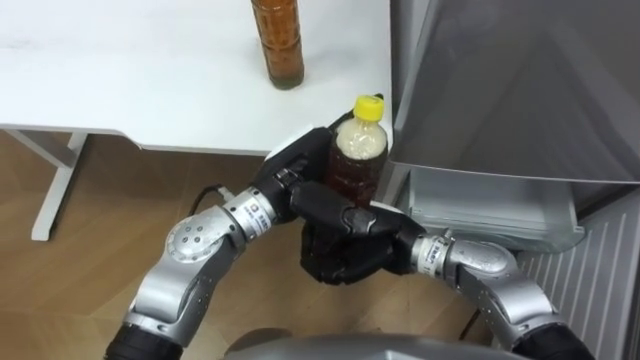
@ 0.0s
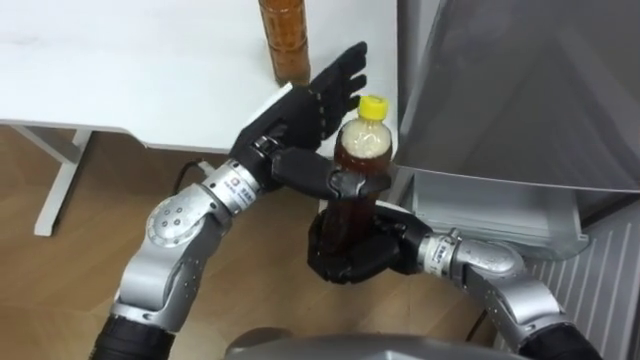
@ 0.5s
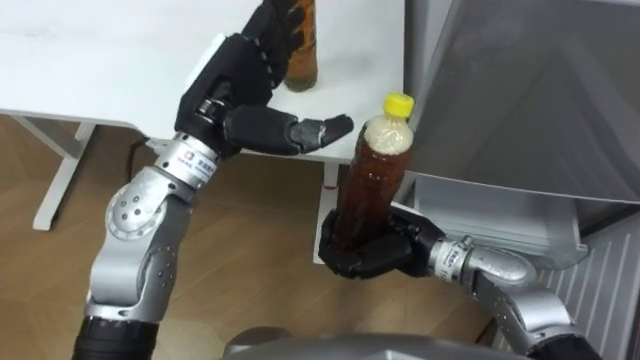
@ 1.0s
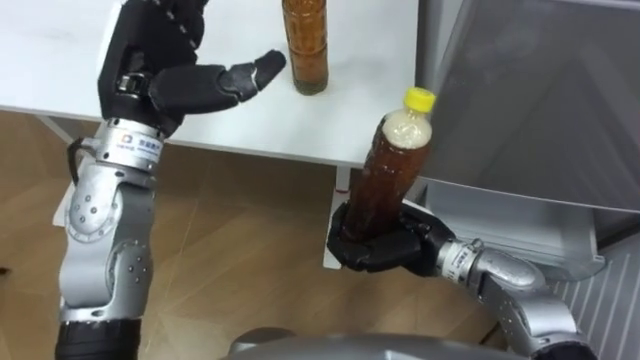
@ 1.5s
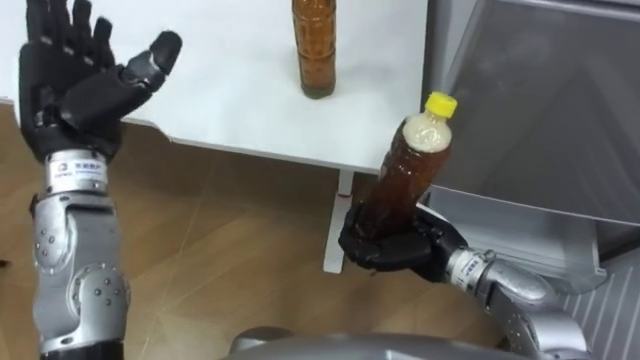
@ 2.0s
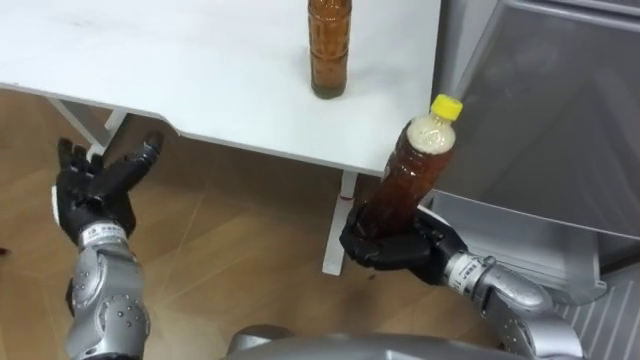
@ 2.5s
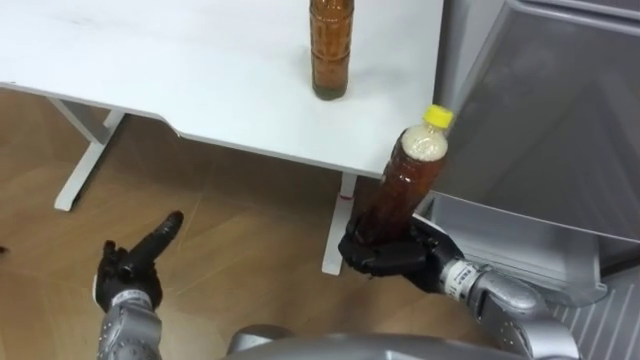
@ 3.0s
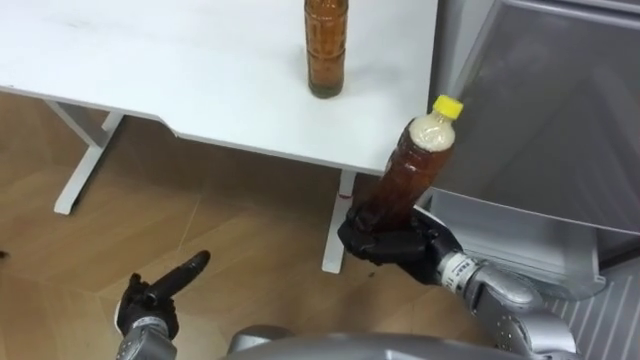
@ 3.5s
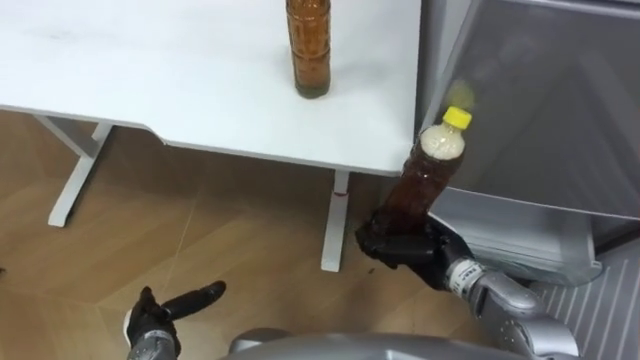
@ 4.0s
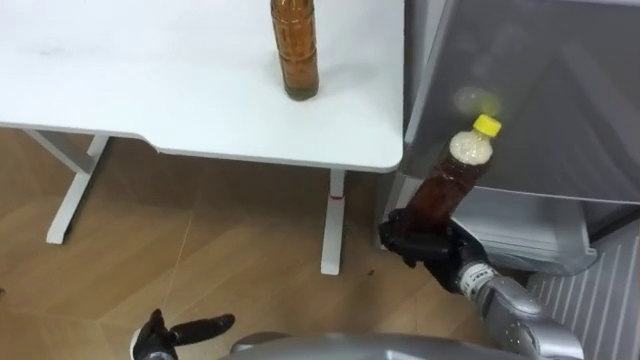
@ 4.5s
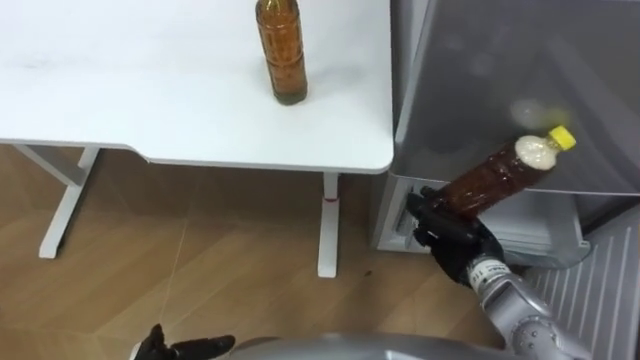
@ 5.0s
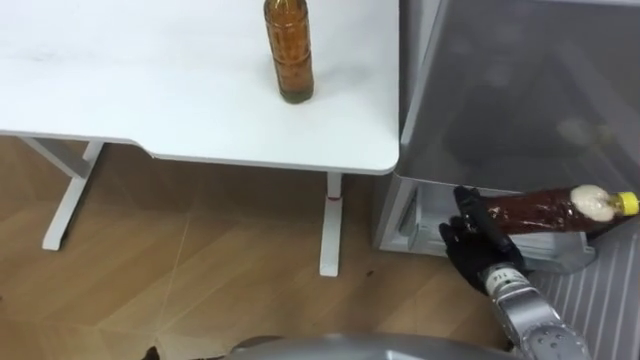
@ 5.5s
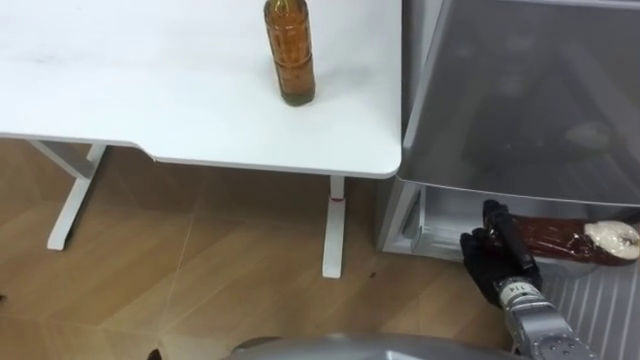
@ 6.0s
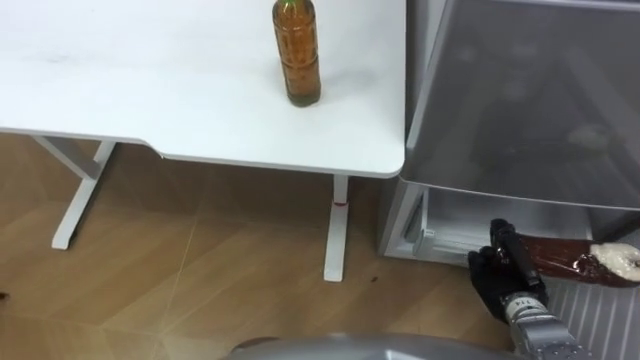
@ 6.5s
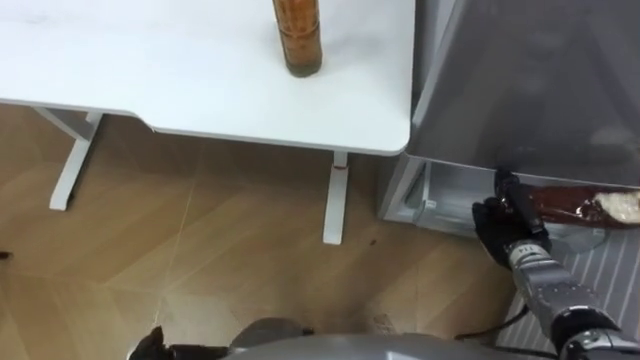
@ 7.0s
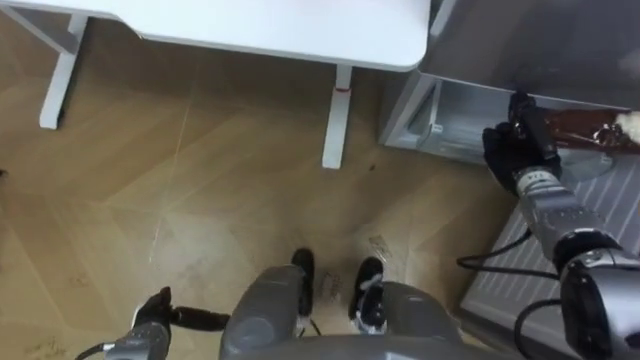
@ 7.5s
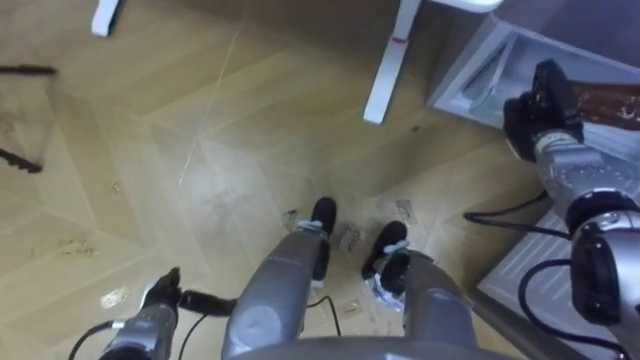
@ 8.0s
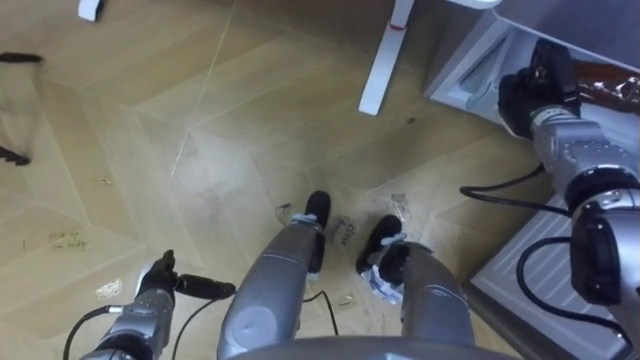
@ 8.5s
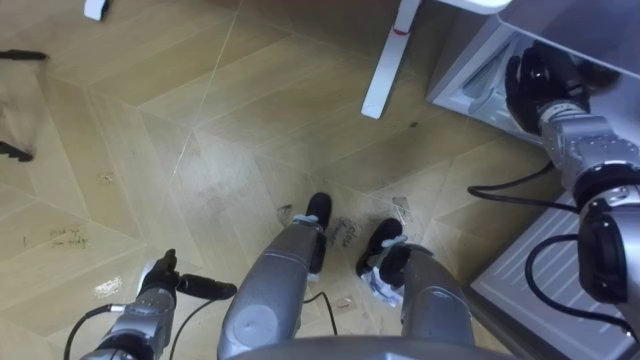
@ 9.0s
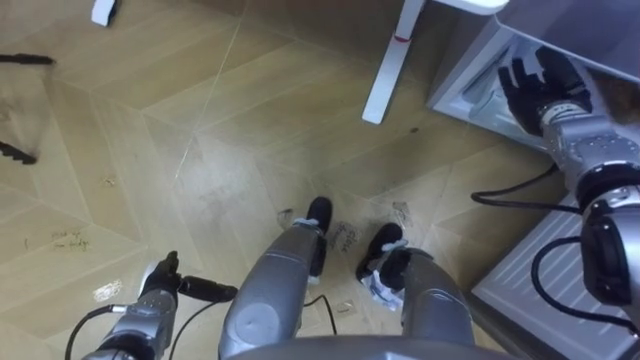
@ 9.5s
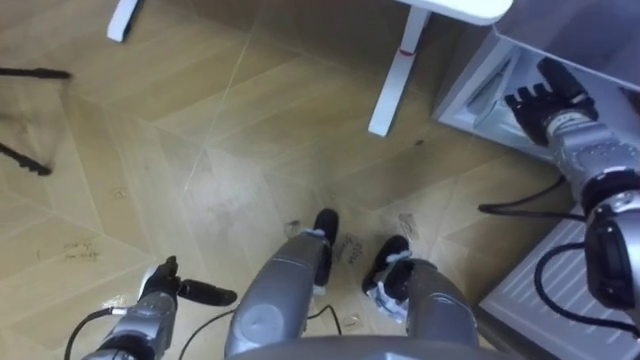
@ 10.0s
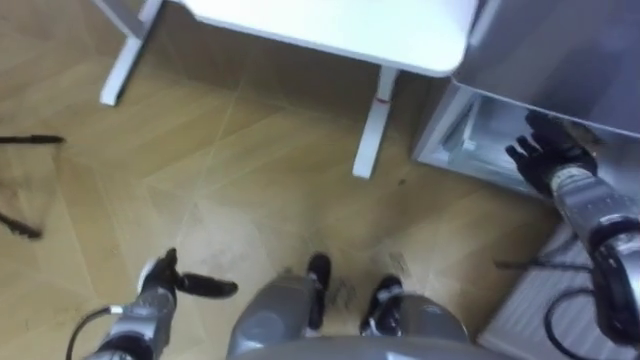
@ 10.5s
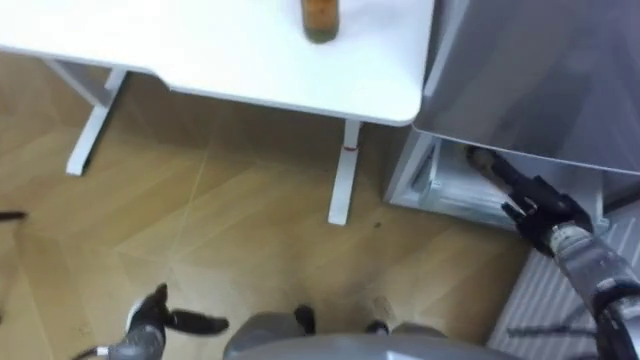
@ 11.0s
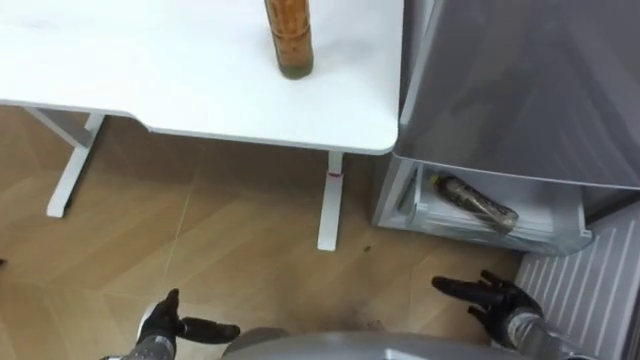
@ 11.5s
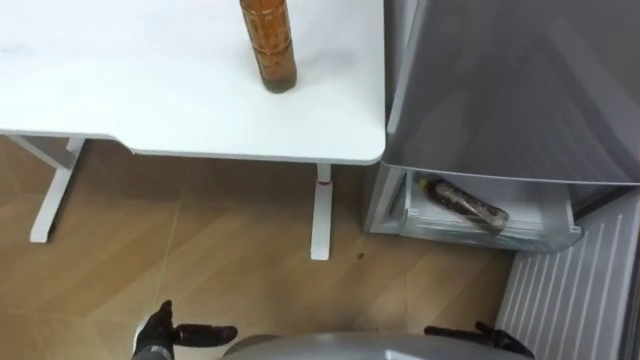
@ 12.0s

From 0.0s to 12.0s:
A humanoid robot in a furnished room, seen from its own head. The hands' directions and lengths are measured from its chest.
Task of the whole recording: Place the drink on the table on the bottom shelf of the refrigerator, then close the drawer and the refrigerator door.
From 0.0s to 2.0s: The left hand heads to the left, covering about 20 cm; the right hand moves to the right, some 5 cm.
From 2.0s to 4.0s: The left hand goes roughly 35 cm downward and backward.
From 4.0s to 6.0s: The right hand goes approximately 10 cm to the right.
From 6.0s to 8.0s: The right hand moves forward and upward, approximately 20 cm.
From 8.0s to 10.0s: The right hand opens its fingers.
From 10.0s to 12.0s: The left hand moves backward, roughly 5 cm; the right hand goes some 35 cm backward and downward.

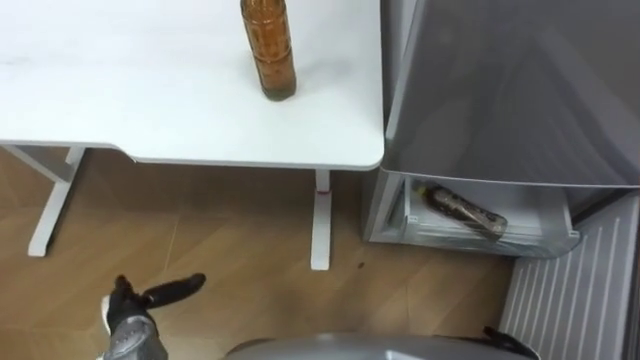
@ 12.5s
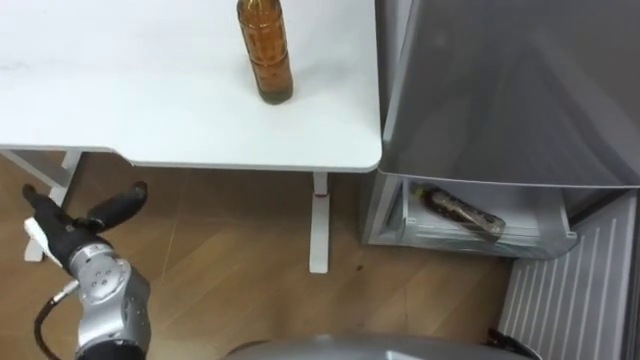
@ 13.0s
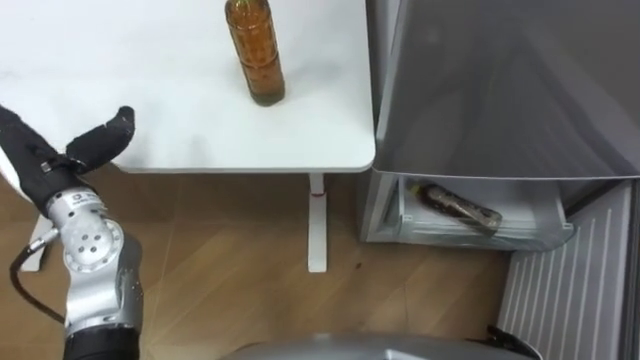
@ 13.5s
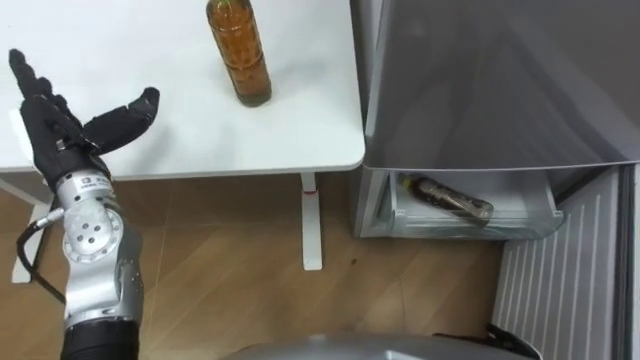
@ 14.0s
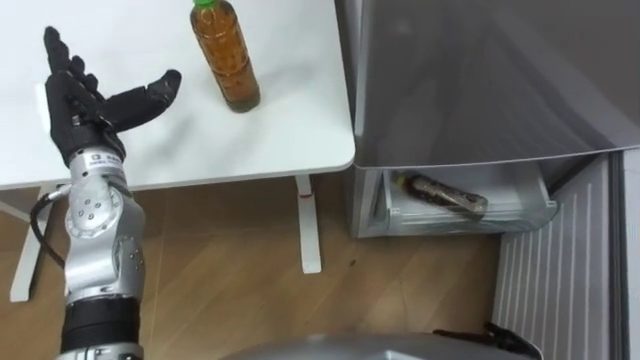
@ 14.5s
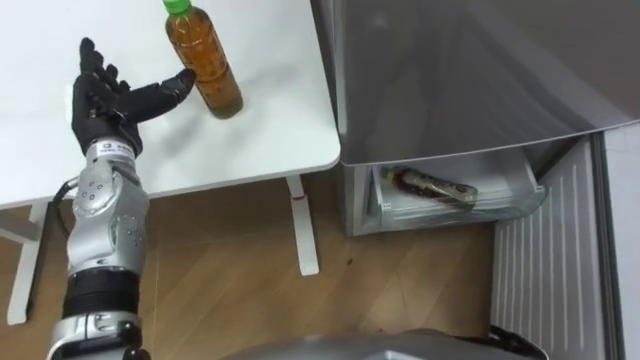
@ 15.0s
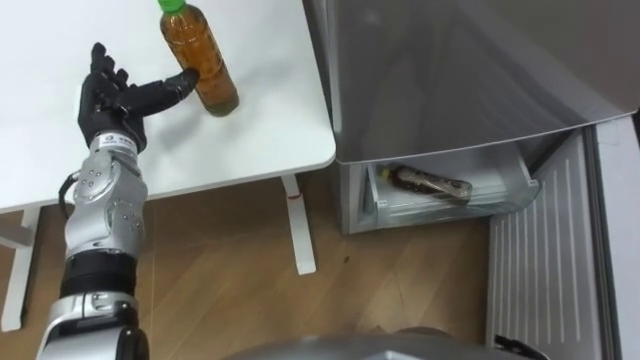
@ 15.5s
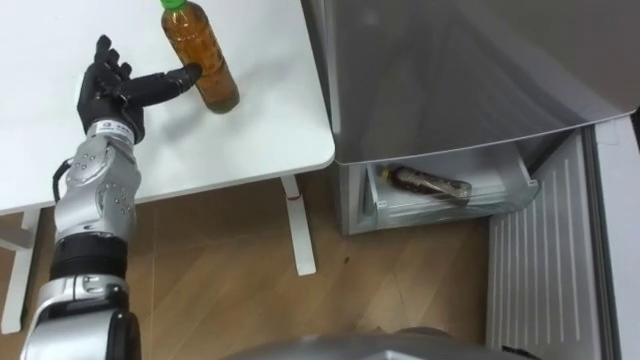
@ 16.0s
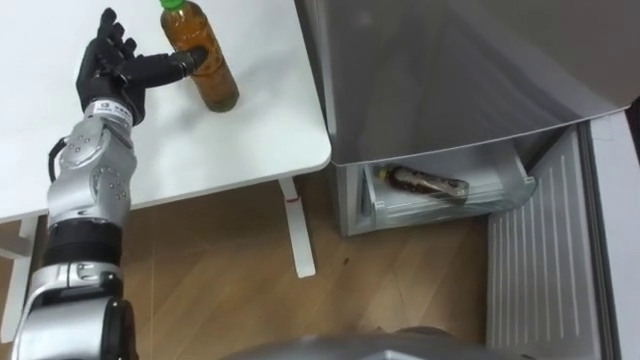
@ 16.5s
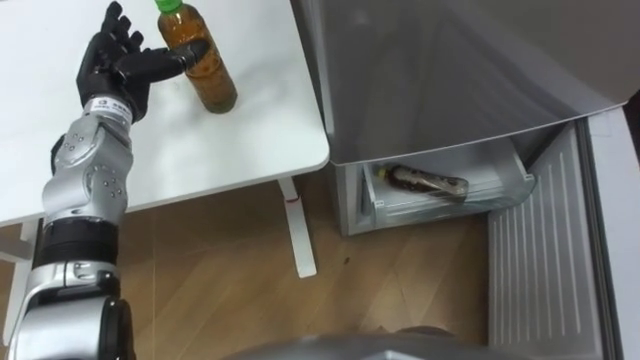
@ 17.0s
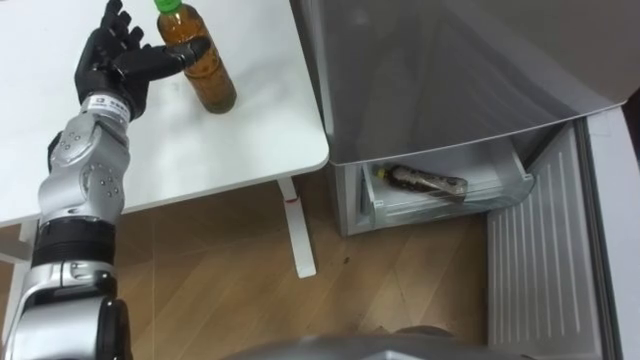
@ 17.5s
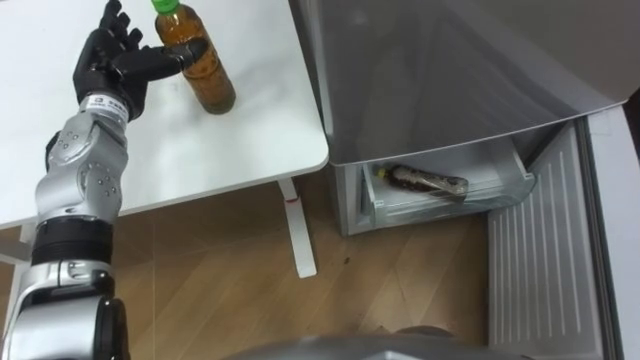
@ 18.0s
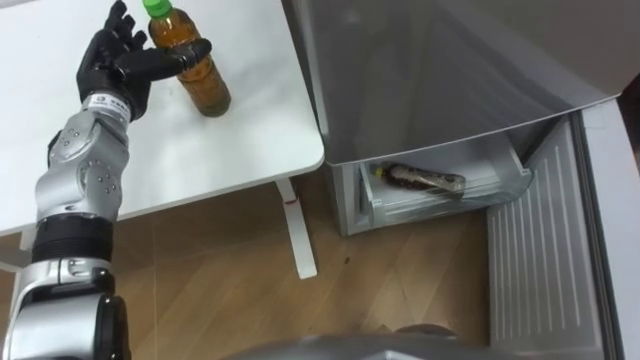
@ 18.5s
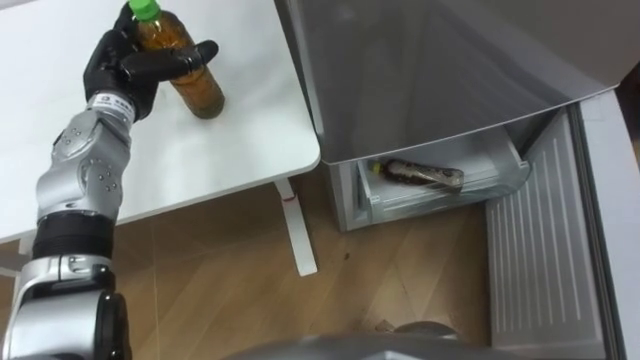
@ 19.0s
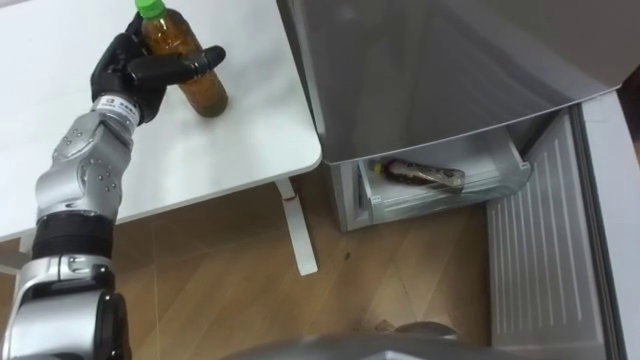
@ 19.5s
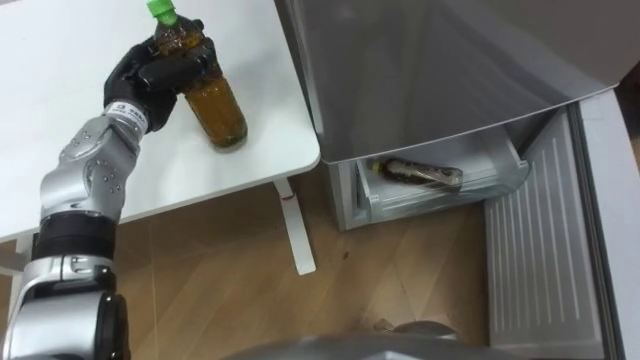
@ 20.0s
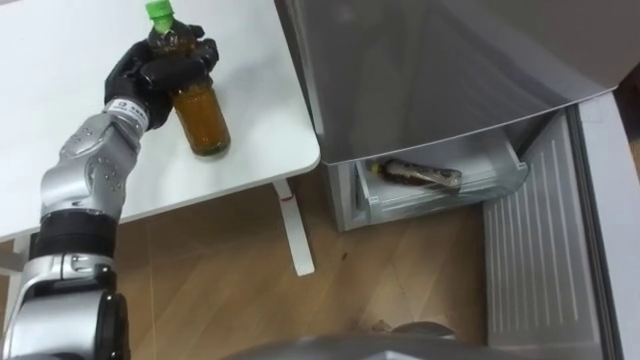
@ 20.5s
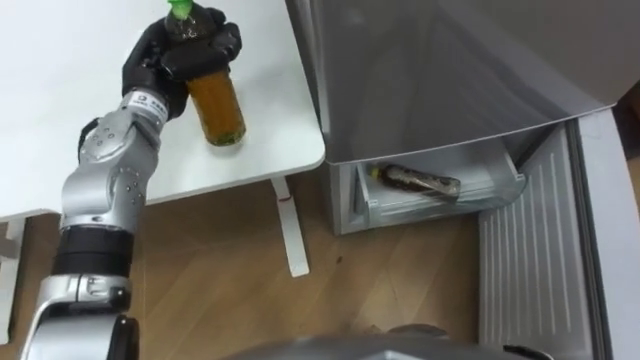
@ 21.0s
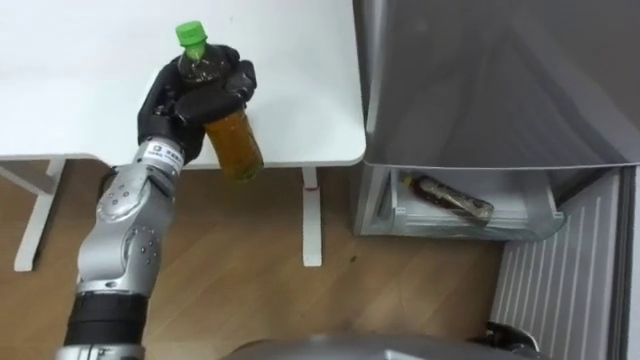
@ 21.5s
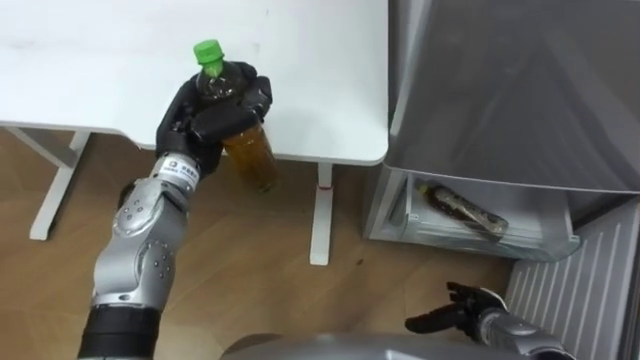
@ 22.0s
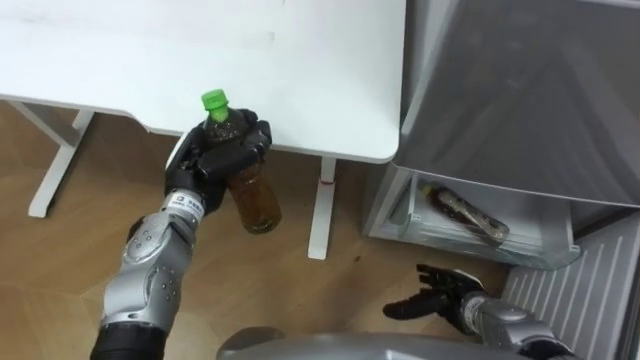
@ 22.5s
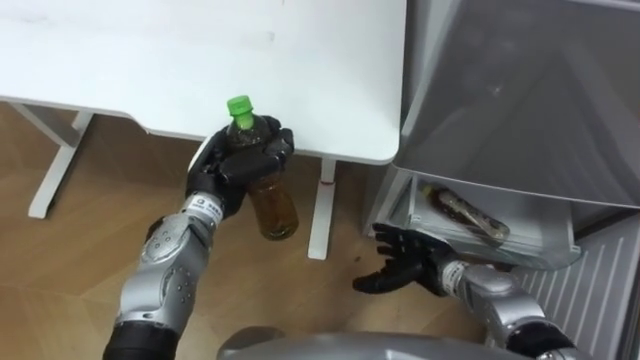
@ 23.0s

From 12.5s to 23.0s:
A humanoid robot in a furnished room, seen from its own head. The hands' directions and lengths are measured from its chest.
Task of the whole recording: Place the drink on the table on the bottom shelf of the refrigerator, then close the drawer and the refrigerator door.
From 12.5s to 14.5s: The left hand moves upward and forward, about 30 cm.
From 14.5s to 16.5s: The left hand heads forward, covering about 5 cm.
From 19.0s to 21.0s: The left hand goes some 5 cm to the right, and closes.
From 21.0s to 23.0s: The left hand moves backward, downward and to the right, approximately 15 cm.
